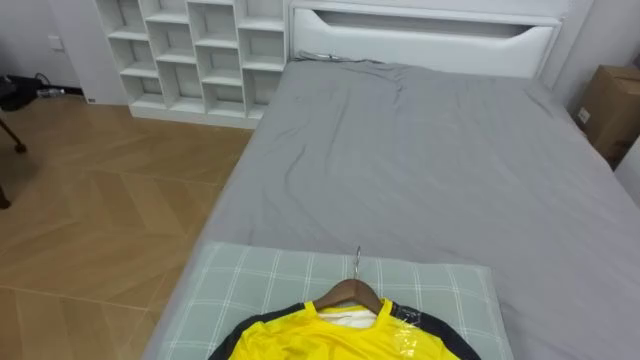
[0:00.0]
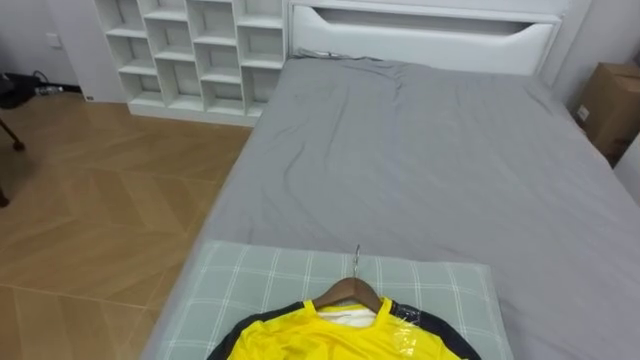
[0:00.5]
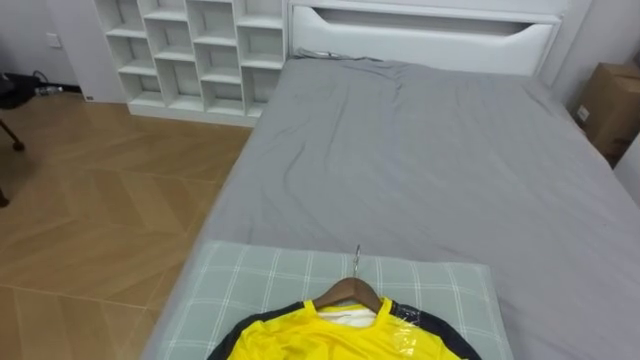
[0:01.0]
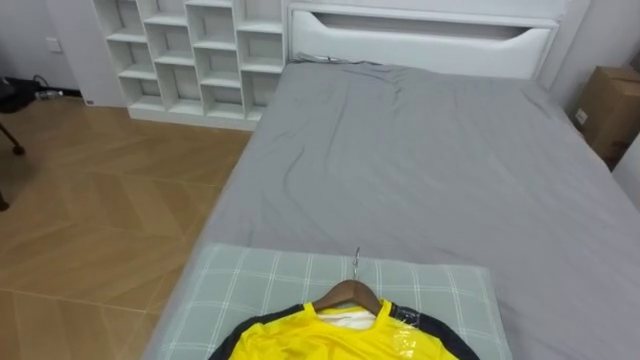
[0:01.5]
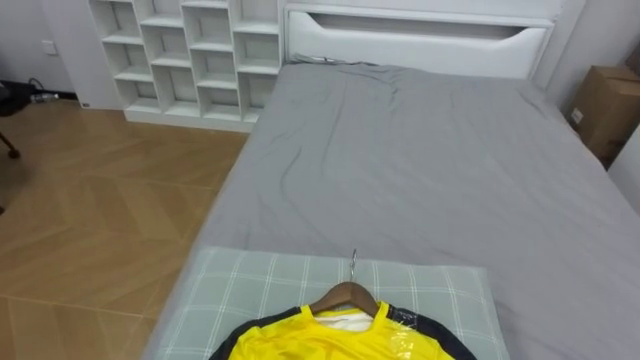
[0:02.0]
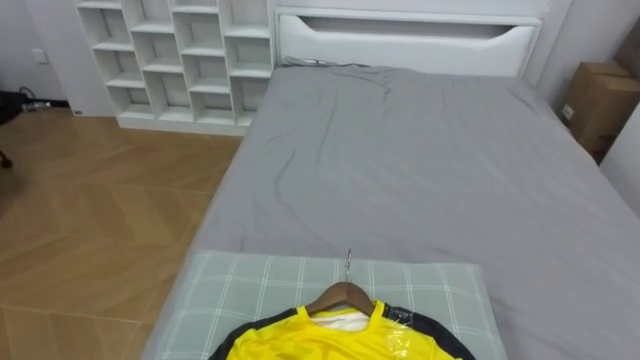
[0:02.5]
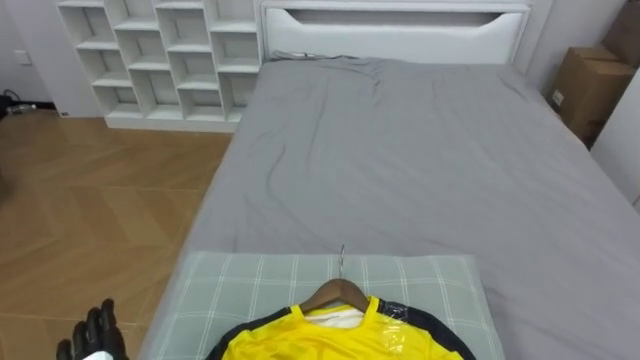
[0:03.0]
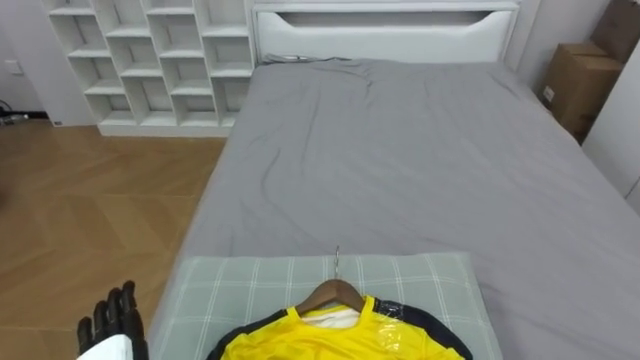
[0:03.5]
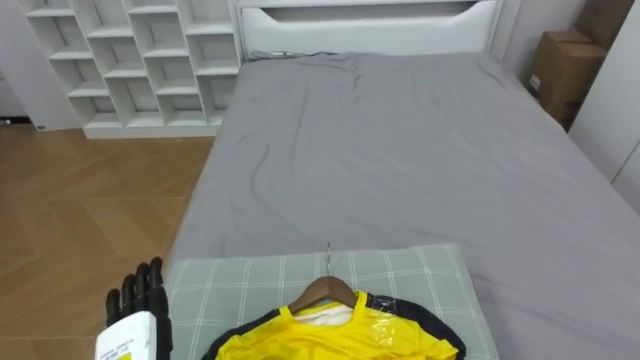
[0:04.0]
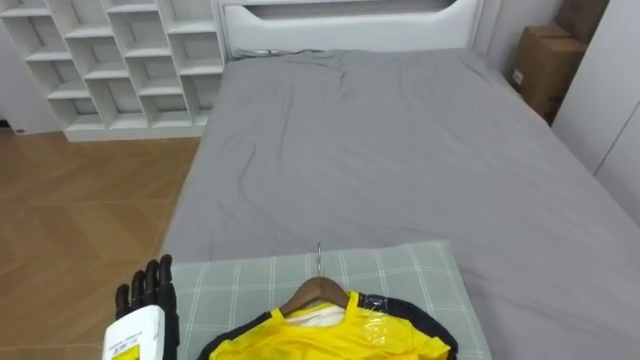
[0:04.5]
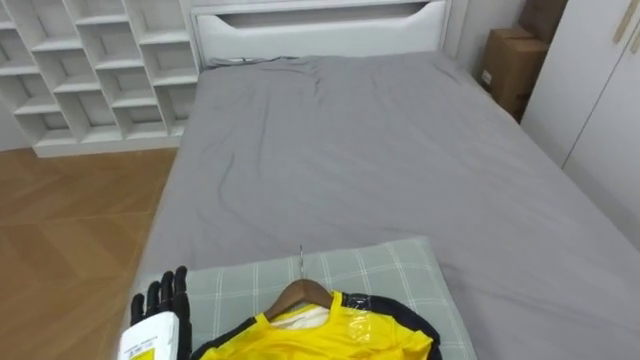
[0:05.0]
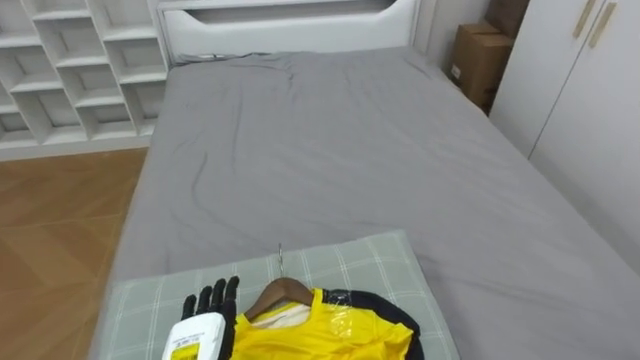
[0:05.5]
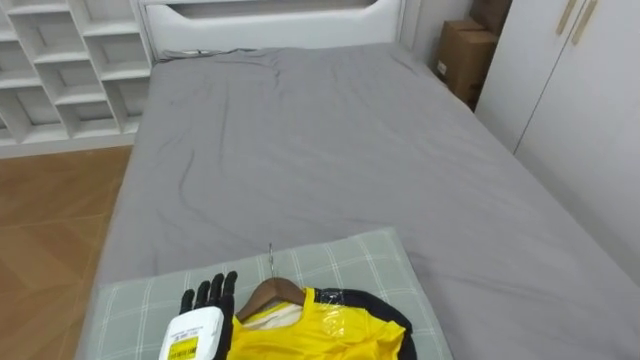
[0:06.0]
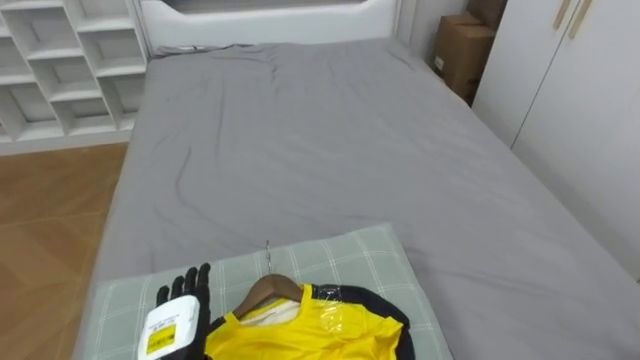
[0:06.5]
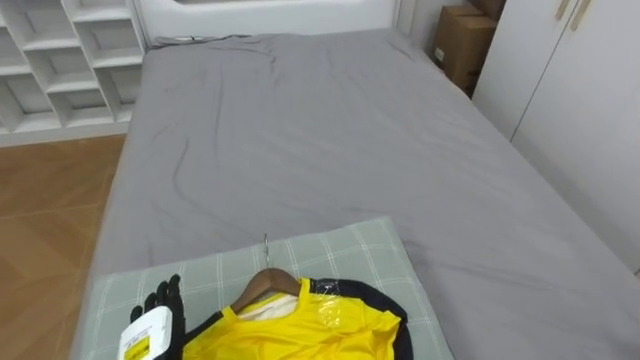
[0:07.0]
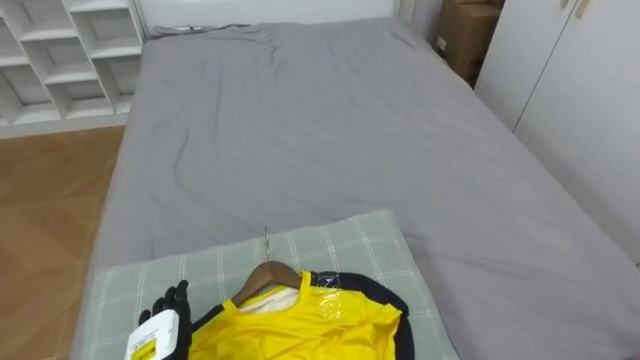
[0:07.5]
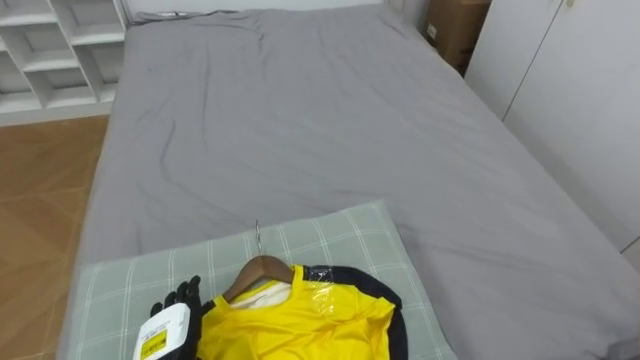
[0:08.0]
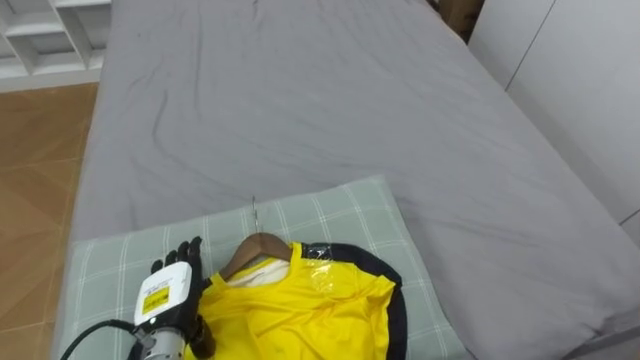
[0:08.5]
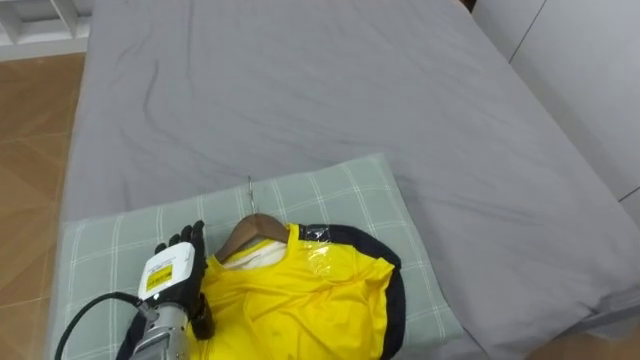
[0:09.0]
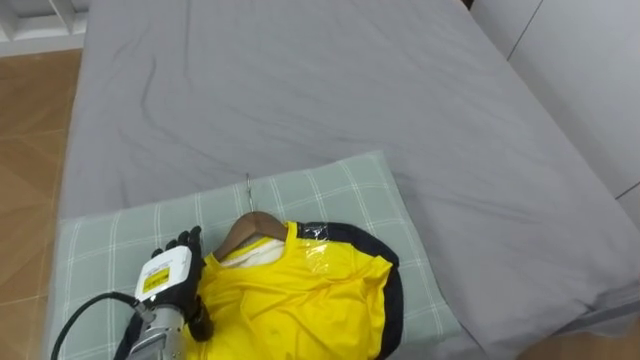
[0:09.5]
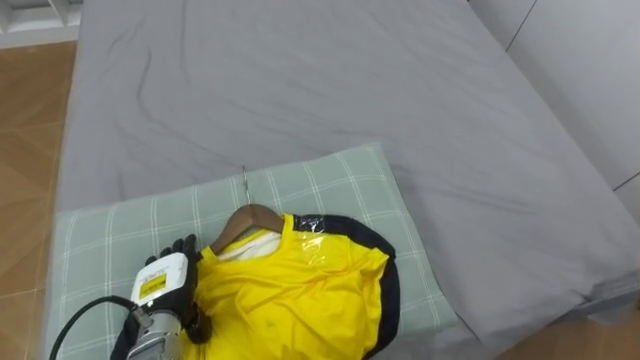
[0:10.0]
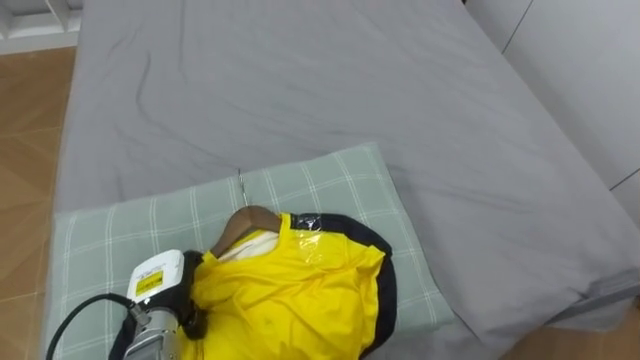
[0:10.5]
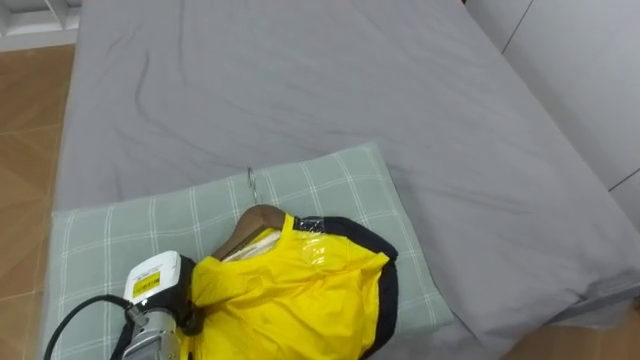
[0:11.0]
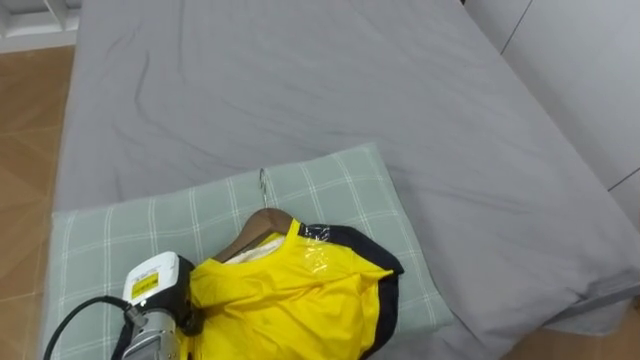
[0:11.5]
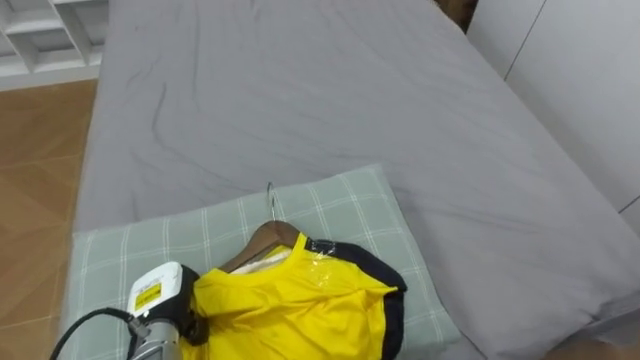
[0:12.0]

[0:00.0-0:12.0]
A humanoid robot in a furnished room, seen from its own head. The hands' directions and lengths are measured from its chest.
Task of the whole recording: Pick up the yellow shirt on the bed and hang it on the clothes rack on the right.
0:08.0 to 0:10.0: The left hand is displaced forward by approximately 5 cm.
0:10.0 to 0:12.0: The left hand closes up.

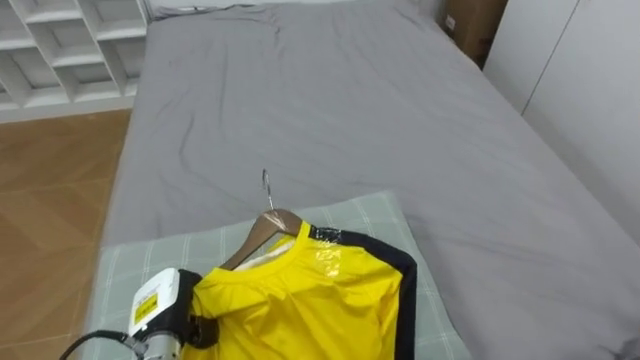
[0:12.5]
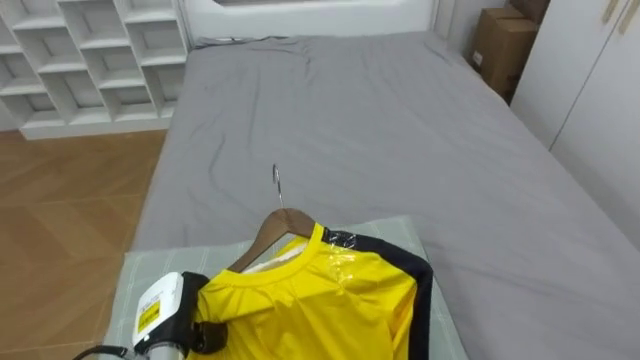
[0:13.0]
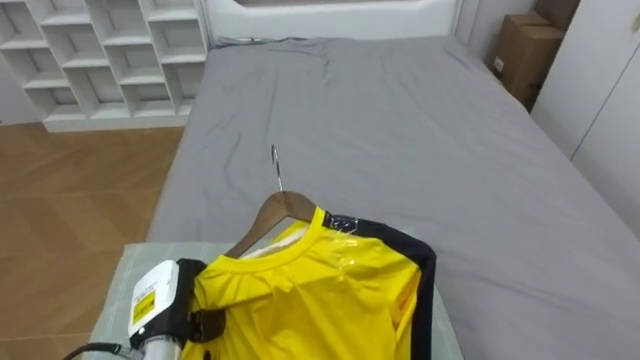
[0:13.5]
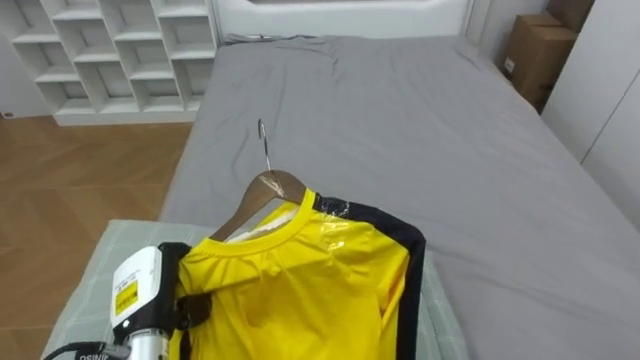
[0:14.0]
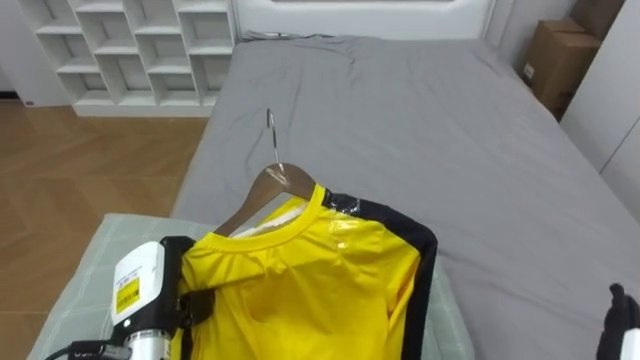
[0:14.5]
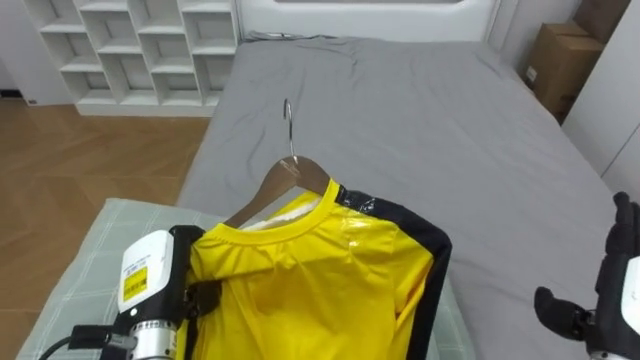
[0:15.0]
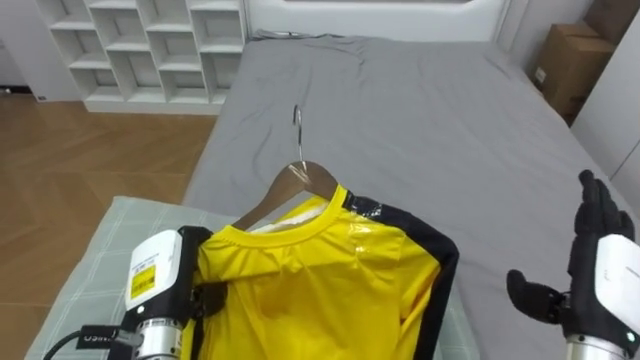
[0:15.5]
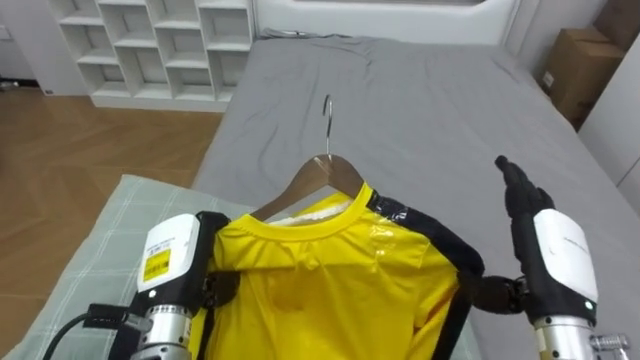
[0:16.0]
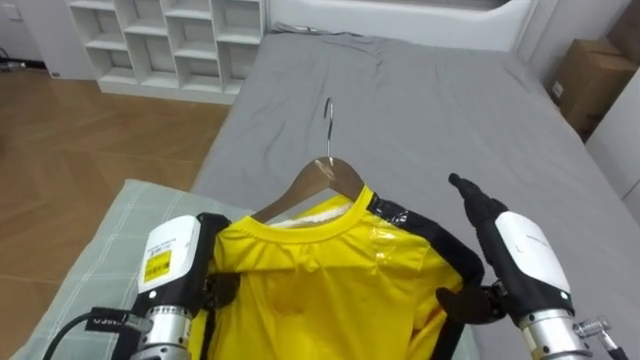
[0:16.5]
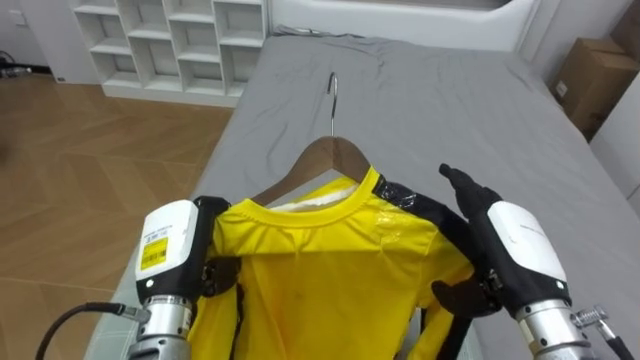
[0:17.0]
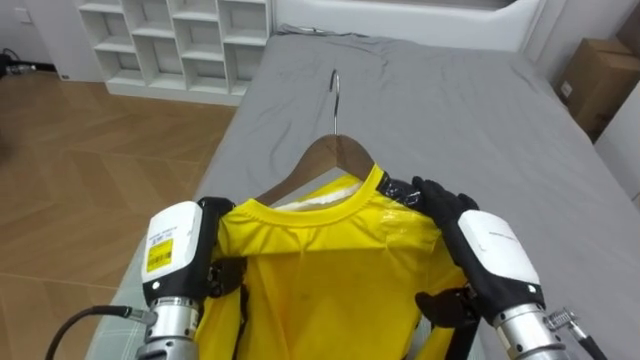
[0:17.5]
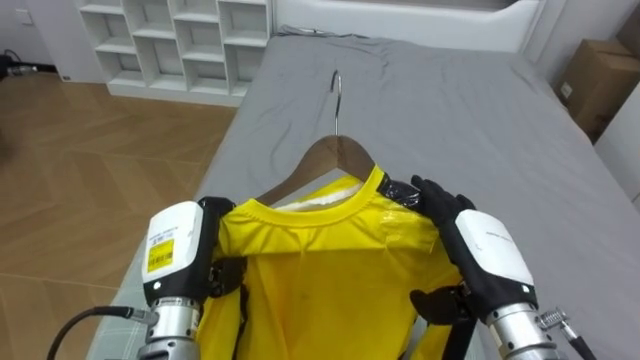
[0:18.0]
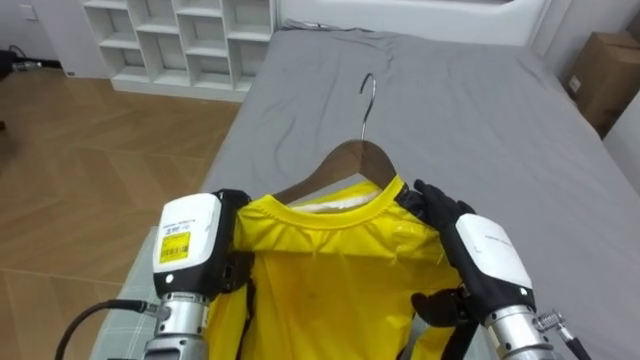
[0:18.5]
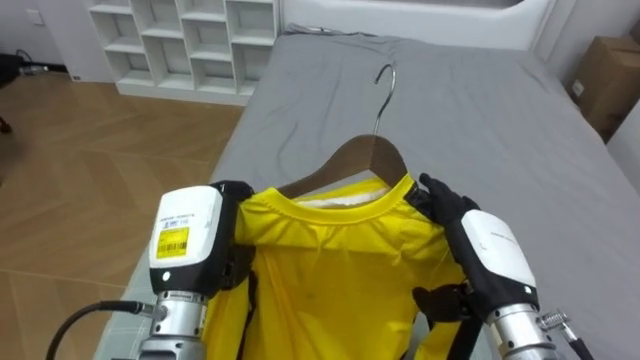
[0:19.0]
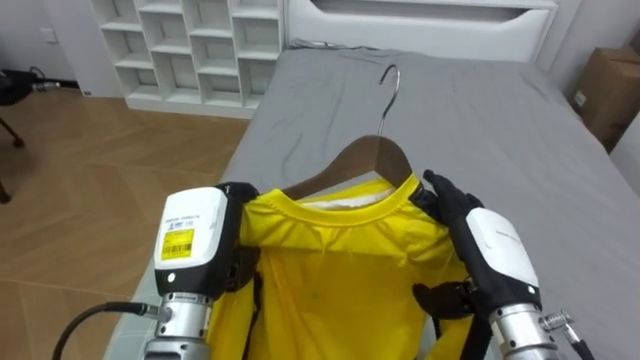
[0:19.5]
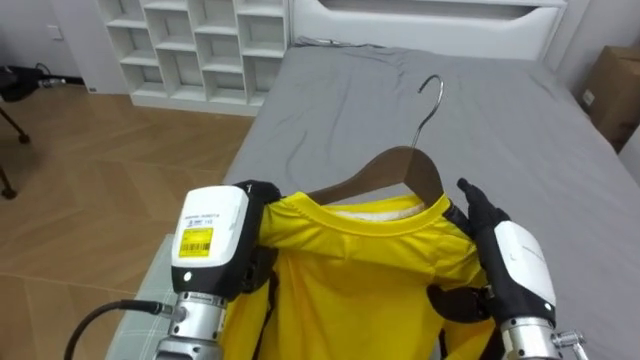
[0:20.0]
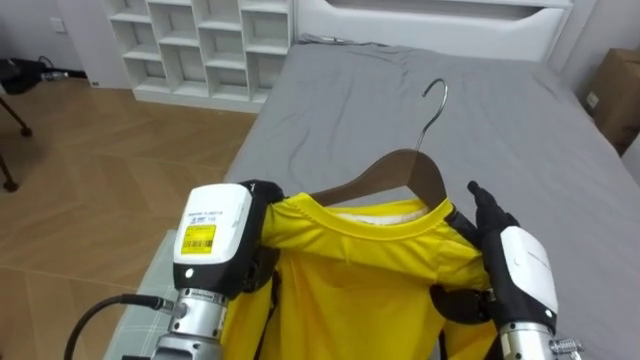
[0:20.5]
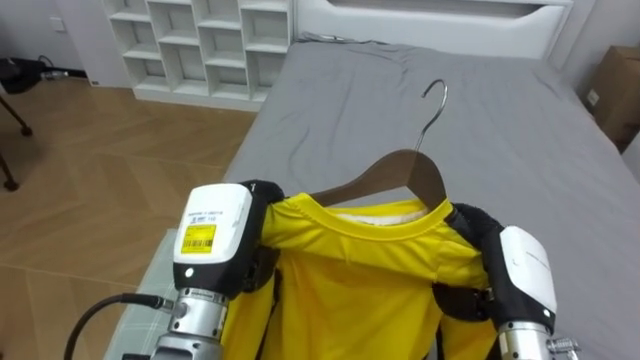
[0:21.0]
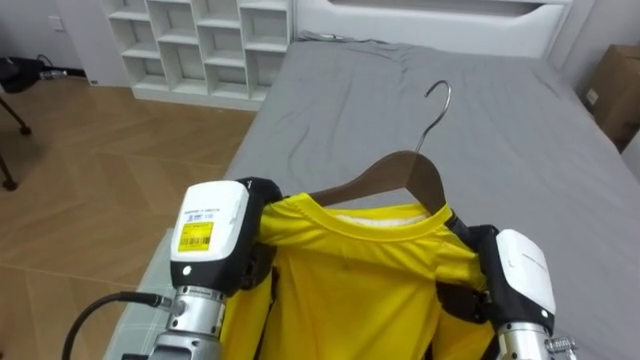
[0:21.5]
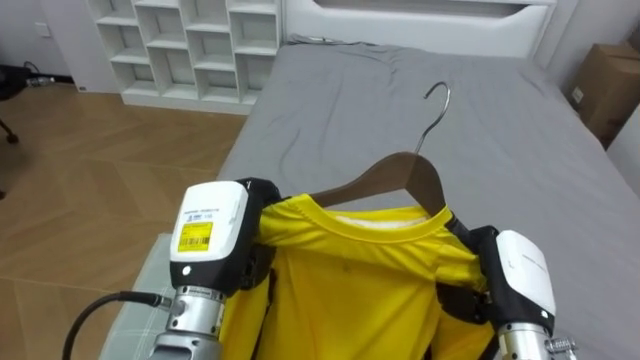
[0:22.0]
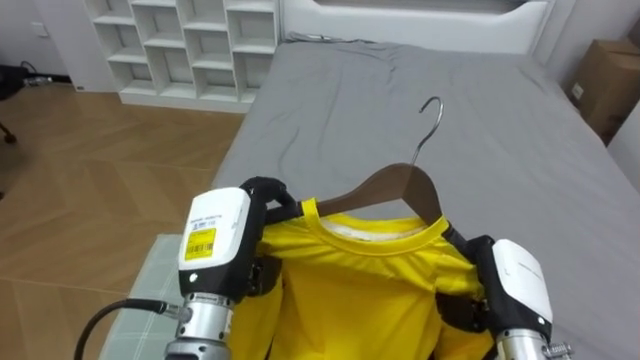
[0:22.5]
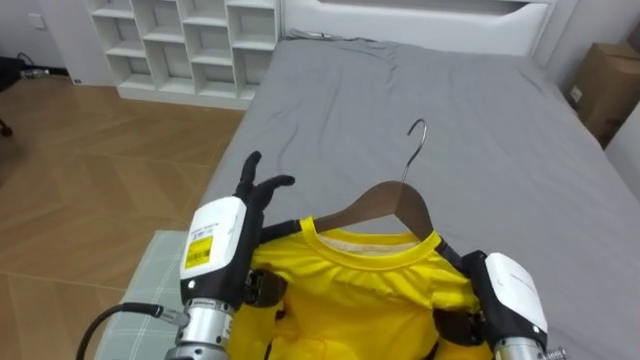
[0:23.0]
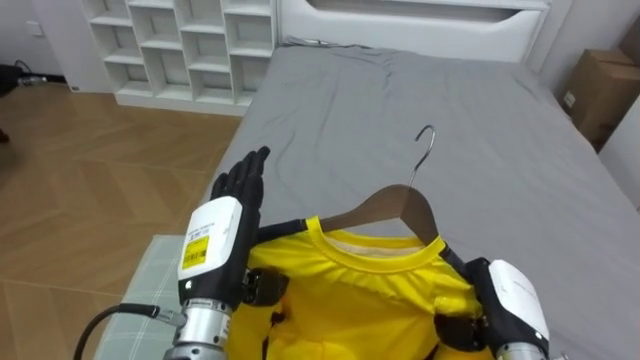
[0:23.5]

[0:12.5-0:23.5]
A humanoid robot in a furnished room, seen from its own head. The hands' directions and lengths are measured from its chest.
Task of the whole recording: Pick up the yellow shirt on the bed and hang it on the clothes rack on the right.
0:12.5 to 0:14.5: The left hand is displaced upward by roughly 5 cm.
0:14.5 to 0:16.0: The left hand shifts by approximately 5 cm.
0:16.0 to 0:18.0: The right hand goes about 5 cm to the left.
0:18.0 to 0:20.0: The left hand moves roughly 5 cm.
0:20.0 to 0:21.5: The right hand closes its fingers.
0:21.5 to 0:23.5: The left hand opens up.
